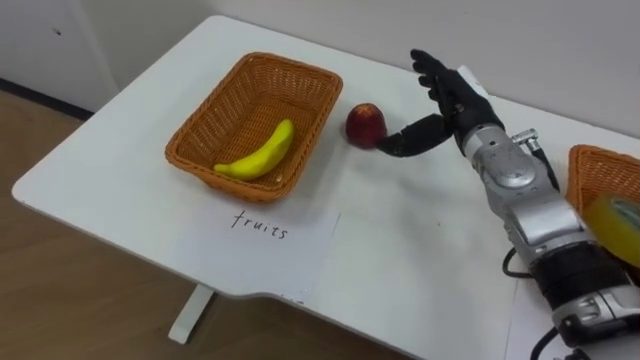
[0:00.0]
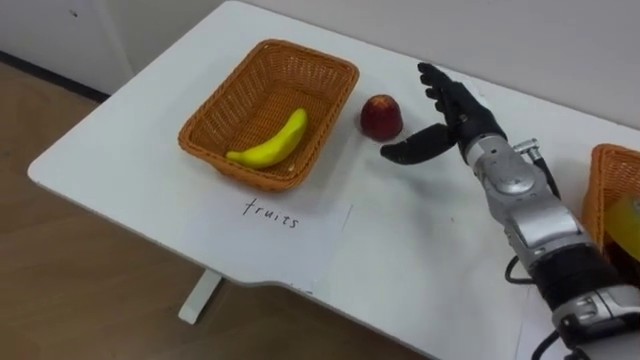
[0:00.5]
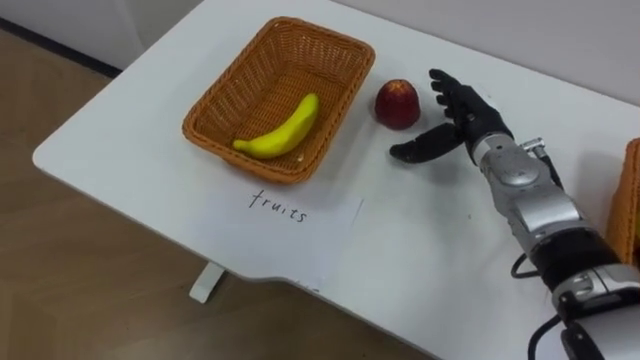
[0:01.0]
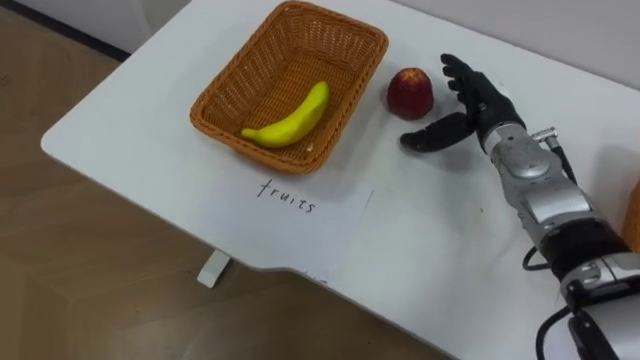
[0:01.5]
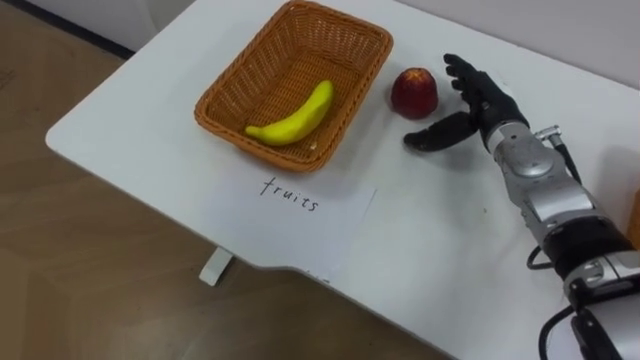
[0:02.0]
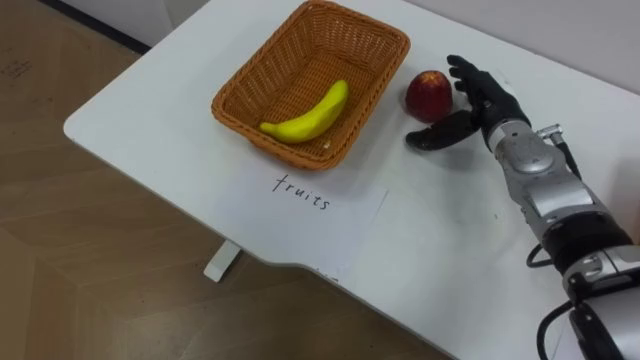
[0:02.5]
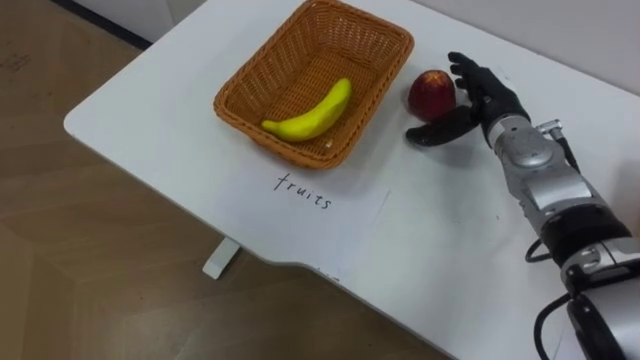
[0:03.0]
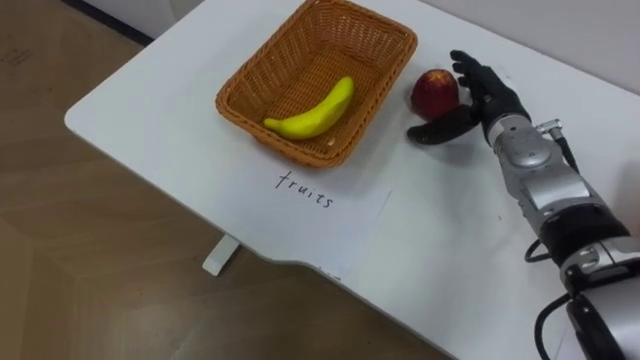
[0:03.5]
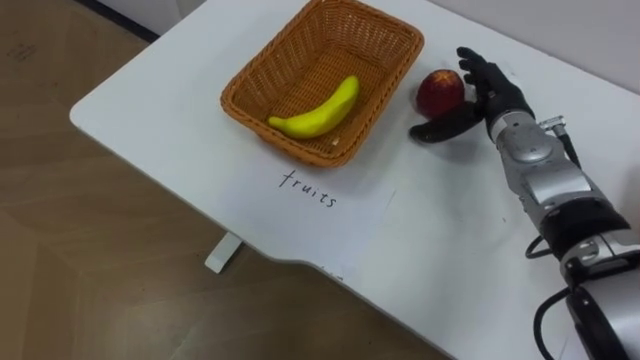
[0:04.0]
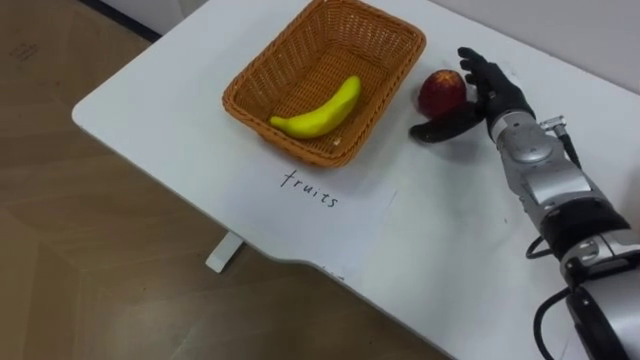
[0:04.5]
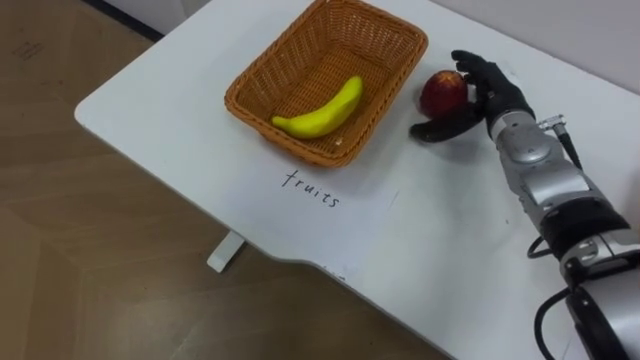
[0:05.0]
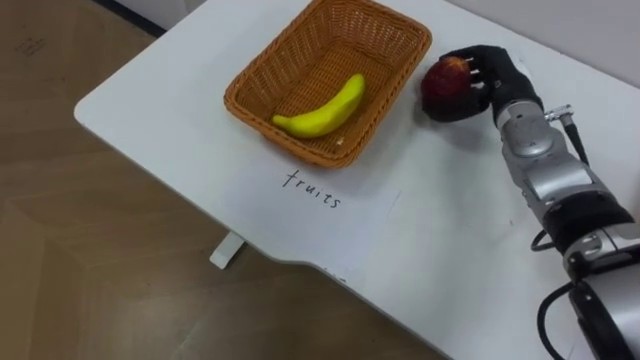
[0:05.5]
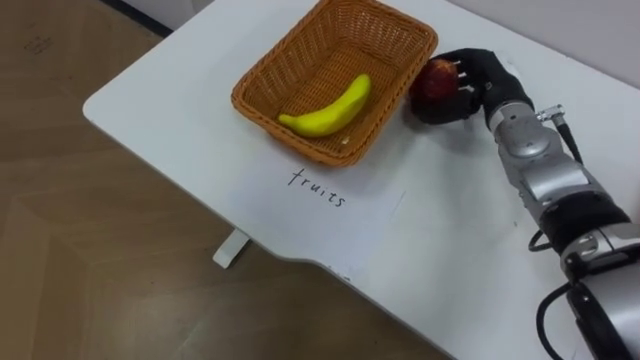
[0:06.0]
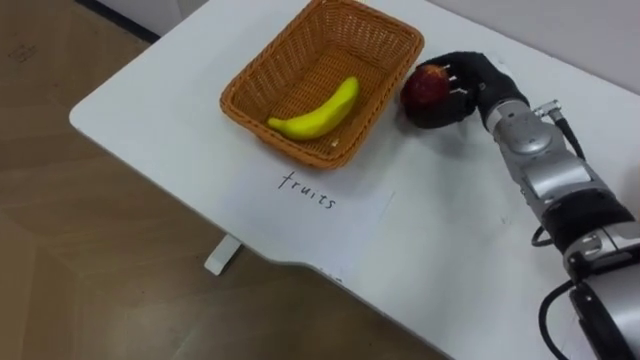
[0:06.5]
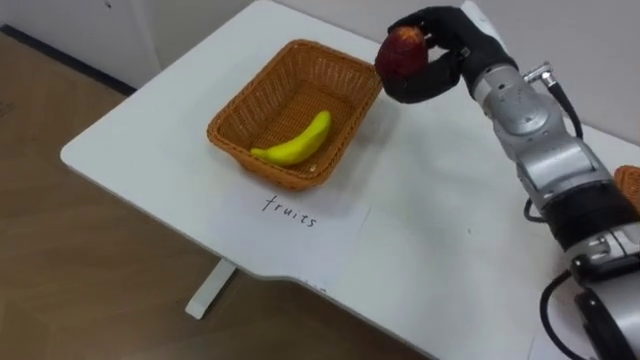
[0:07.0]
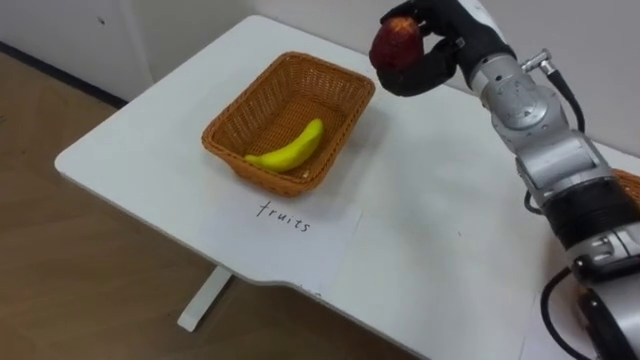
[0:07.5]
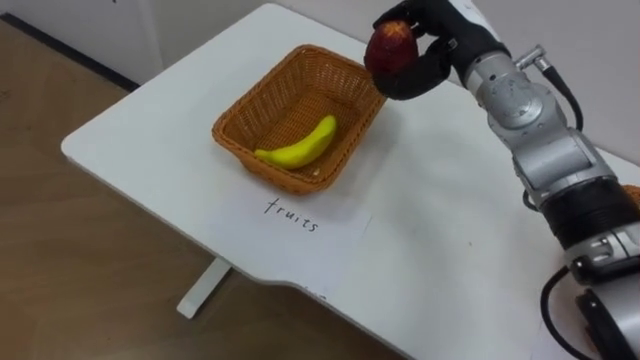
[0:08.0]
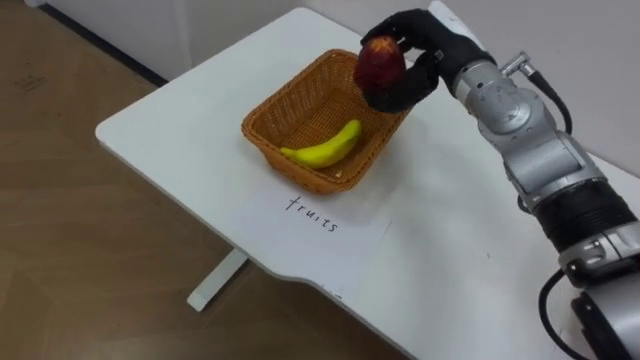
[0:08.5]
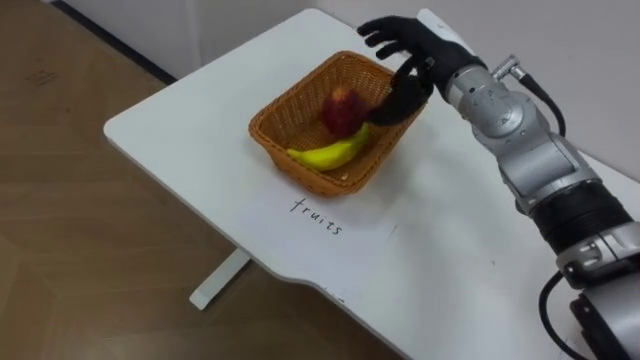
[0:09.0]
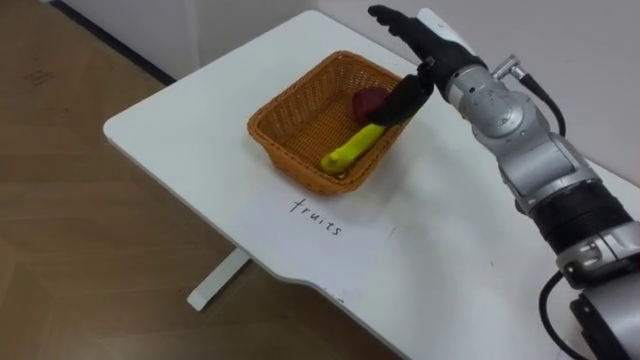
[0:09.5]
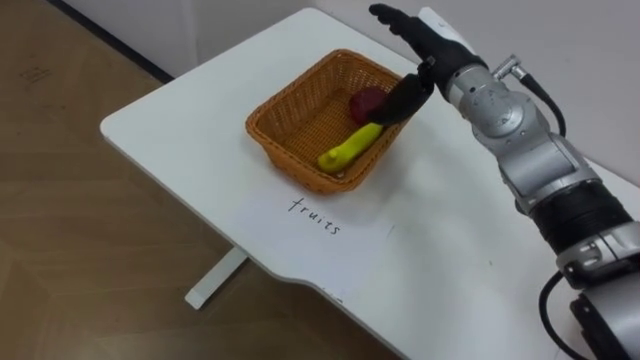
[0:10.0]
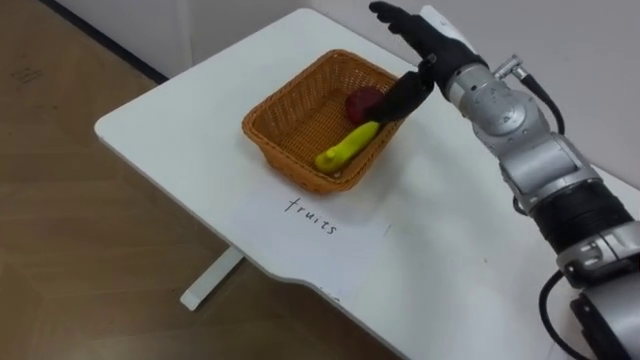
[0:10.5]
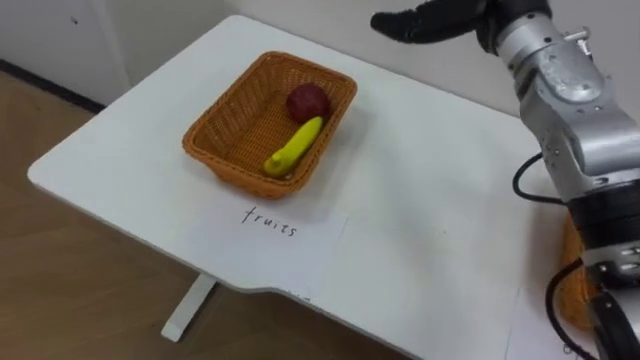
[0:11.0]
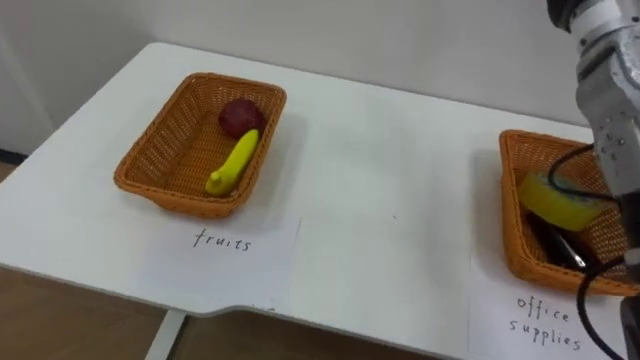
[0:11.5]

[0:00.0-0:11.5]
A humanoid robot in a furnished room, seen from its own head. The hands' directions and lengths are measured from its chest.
Task of the whole recording: Separate the items on the table and place them into the two baskets.
0:04.0 to 0:06.0: The right hand closes up.
0:06.0 to 0:07.5: The right hand heads upward and to the left, covering about 10 cm.
0:07.5 to 0:09.5: The right hand opens up.

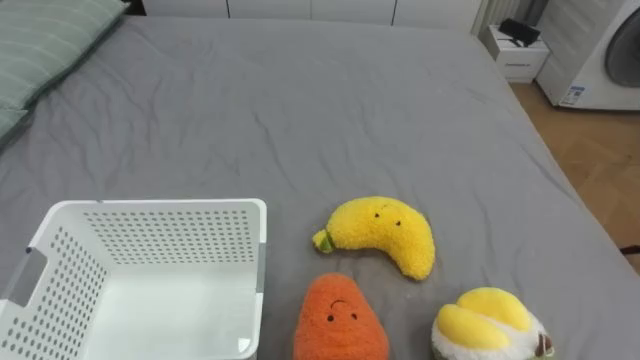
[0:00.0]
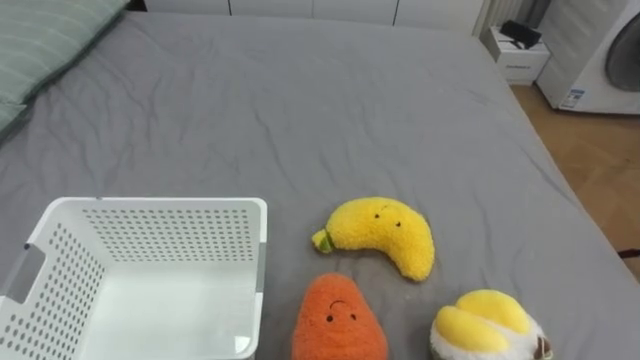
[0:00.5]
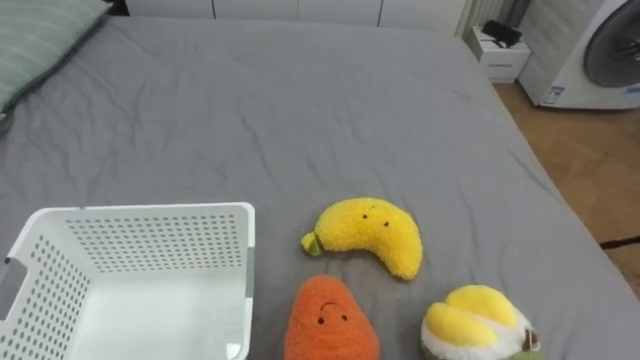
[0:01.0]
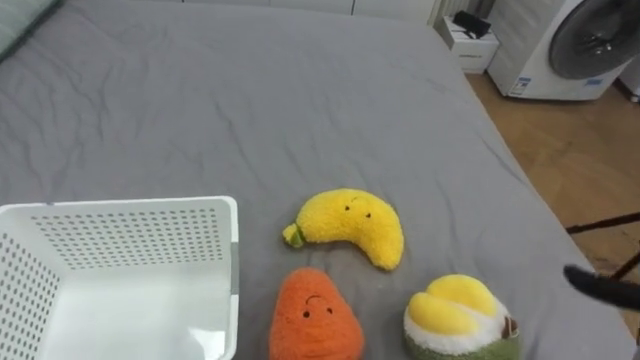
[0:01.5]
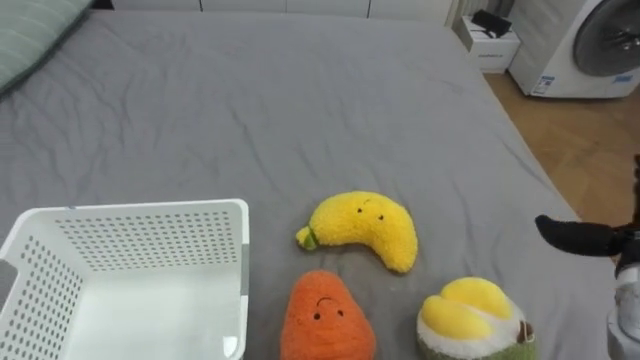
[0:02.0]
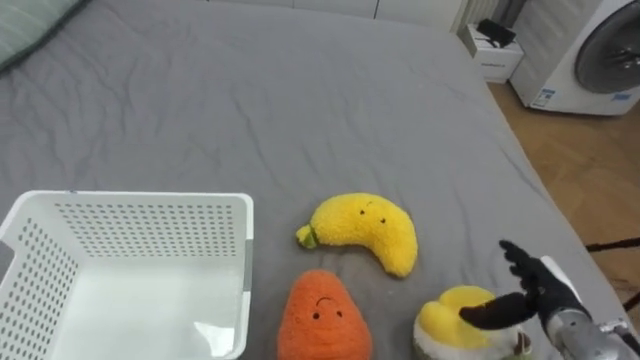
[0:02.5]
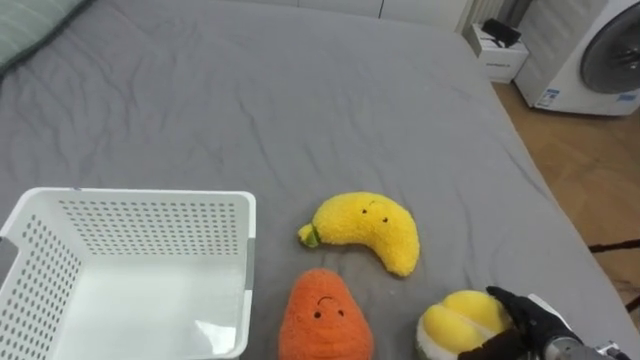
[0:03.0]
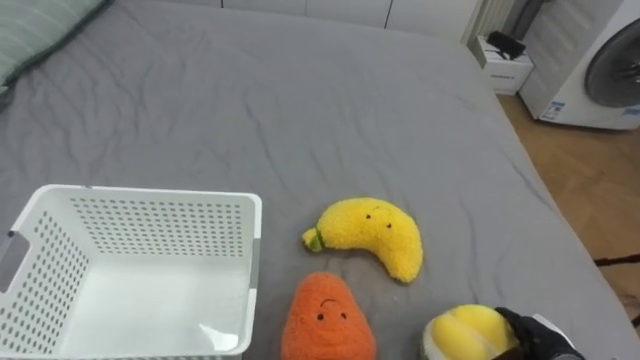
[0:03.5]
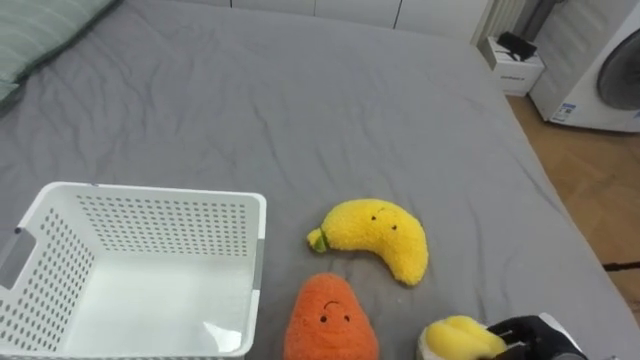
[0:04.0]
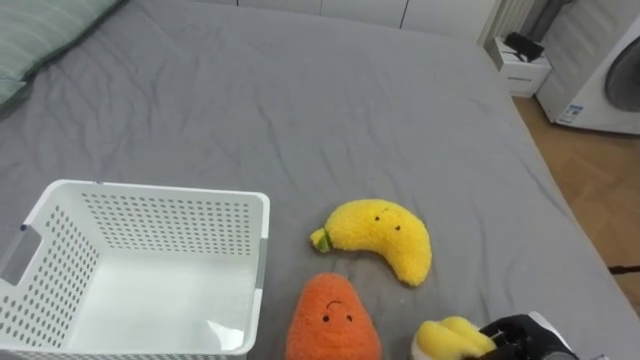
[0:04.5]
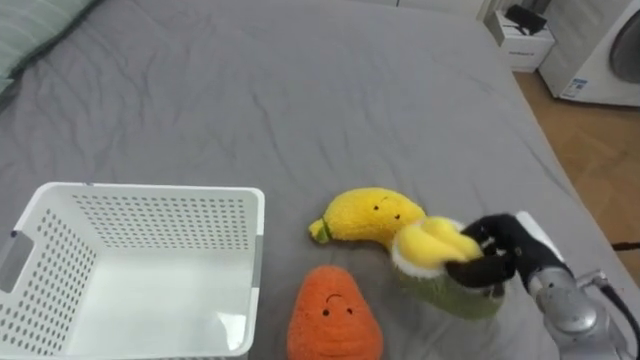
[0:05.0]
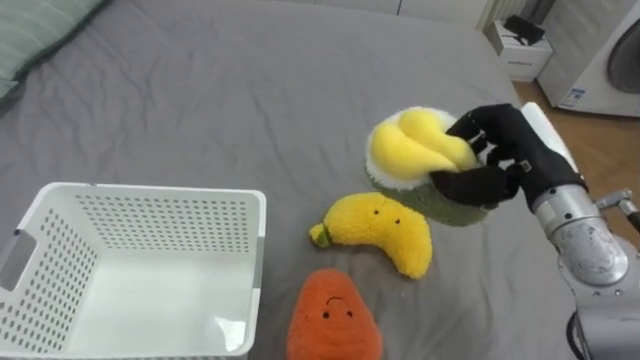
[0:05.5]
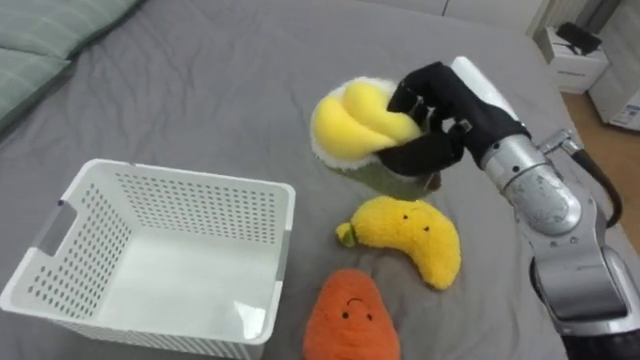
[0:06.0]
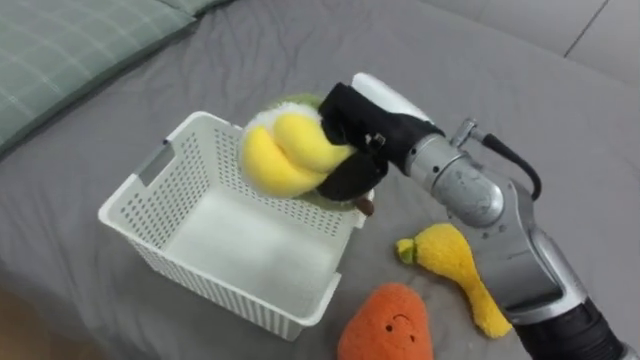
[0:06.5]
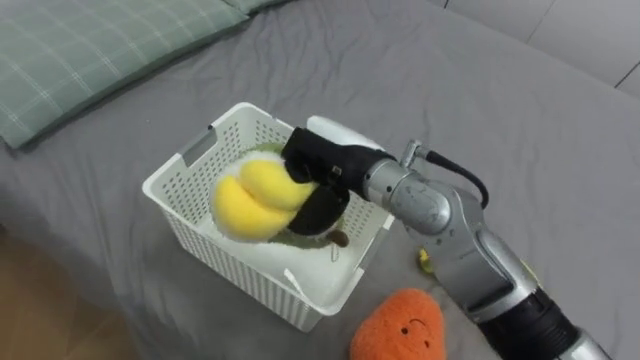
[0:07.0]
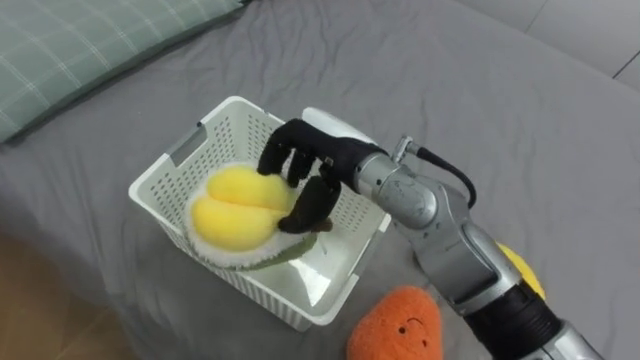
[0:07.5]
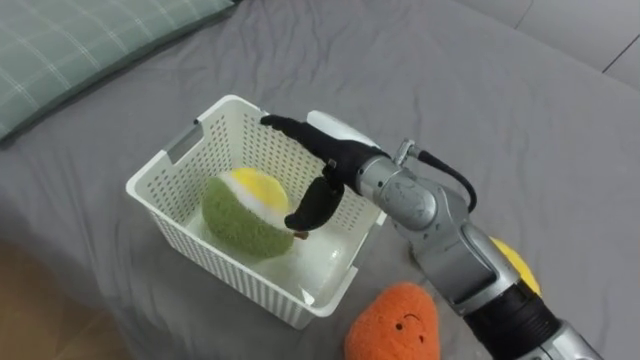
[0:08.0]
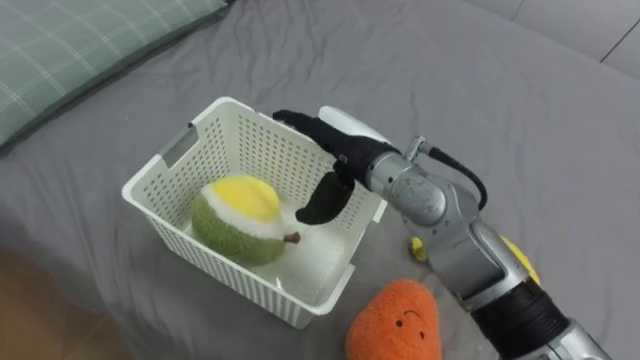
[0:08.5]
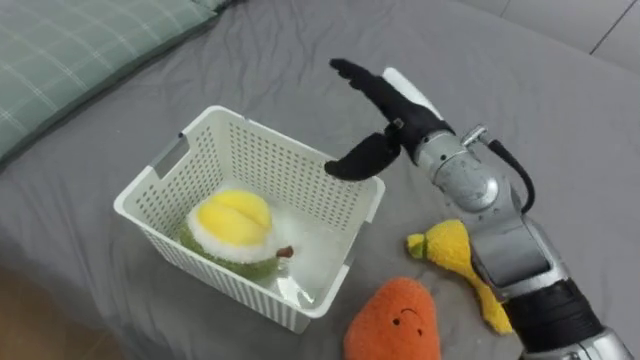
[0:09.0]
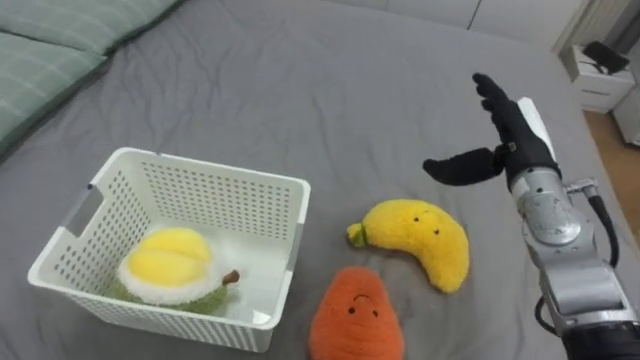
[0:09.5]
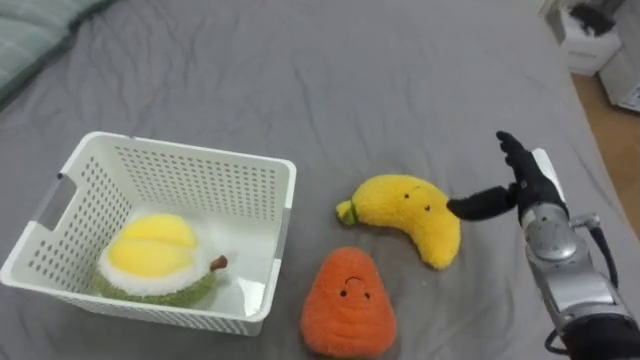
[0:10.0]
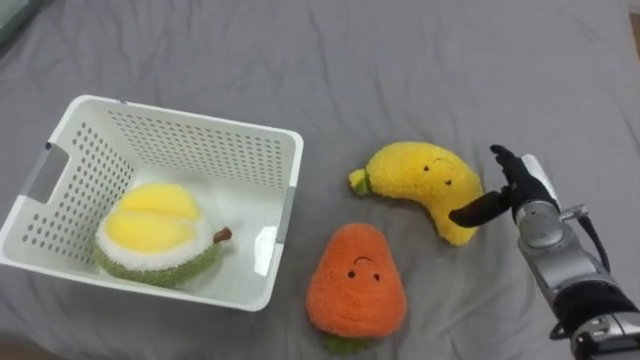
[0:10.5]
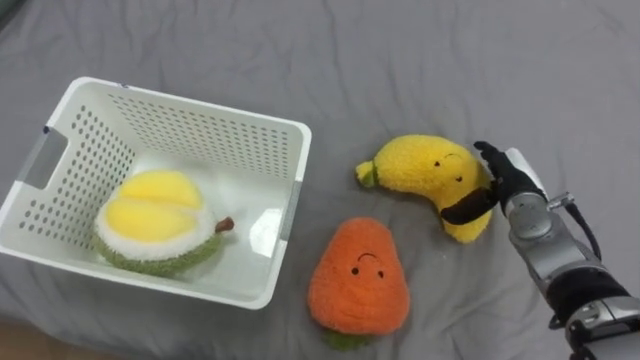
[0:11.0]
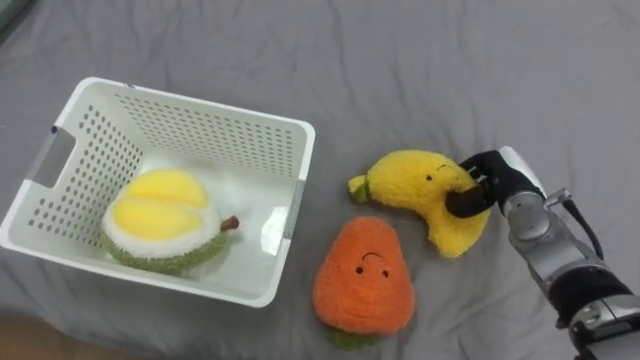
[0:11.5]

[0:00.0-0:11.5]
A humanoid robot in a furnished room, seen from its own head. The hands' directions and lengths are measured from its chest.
Task of the whole recording: Put the toys on the bed into the basket on the left.
0:04.0 to 0:06.0: The right hand heads upward, forward and to the left, covering about 35 cm.
0:06.0 to 0:07.5: The right hand heads to the left, covering about 15 cm, and opens up.
0:07.5 to 0:09.5: The right hand travels to the right by about 20 cm, and opens up.
0:09.5 to 0:11.5: The right hand is displaced downward by roughly 10 cm, and closes up.
